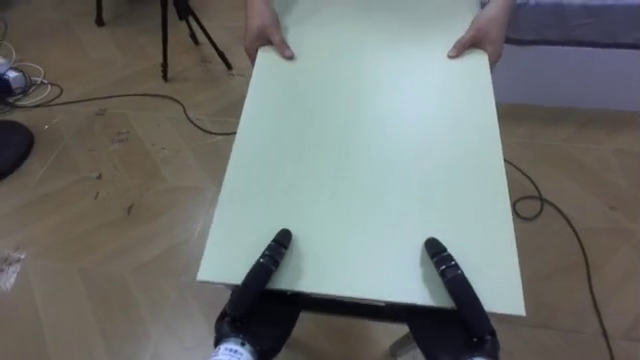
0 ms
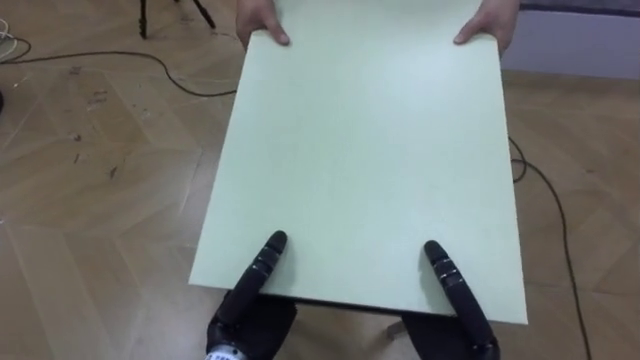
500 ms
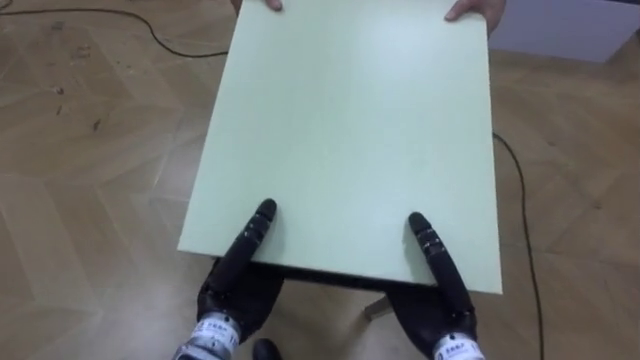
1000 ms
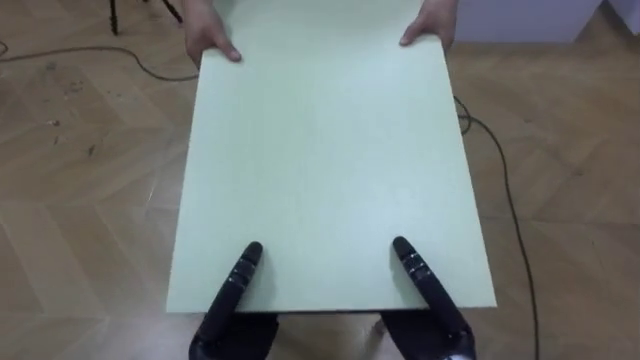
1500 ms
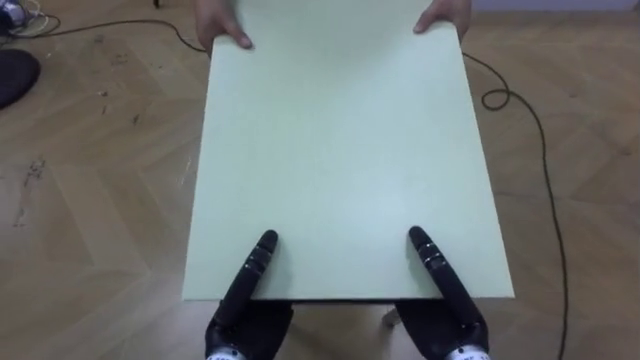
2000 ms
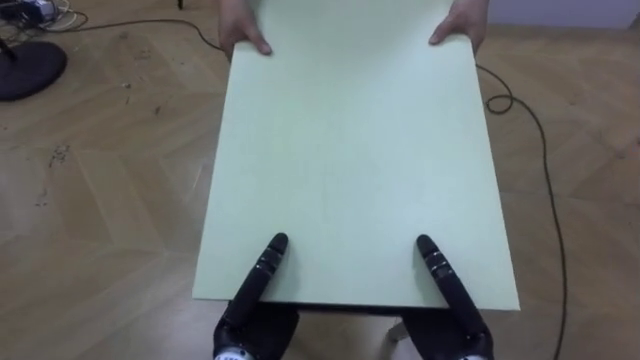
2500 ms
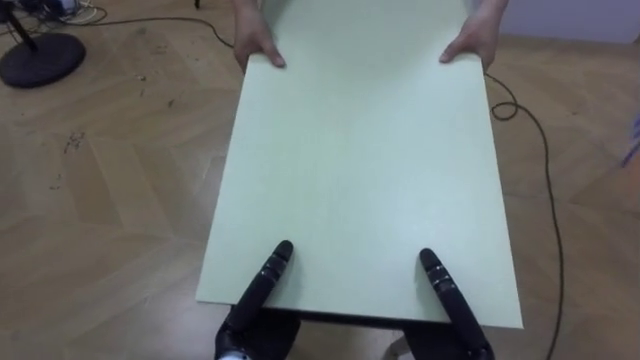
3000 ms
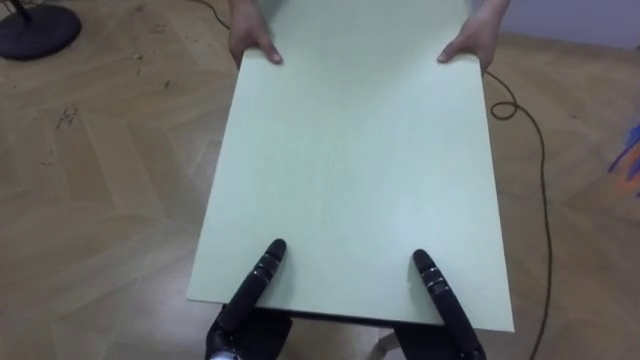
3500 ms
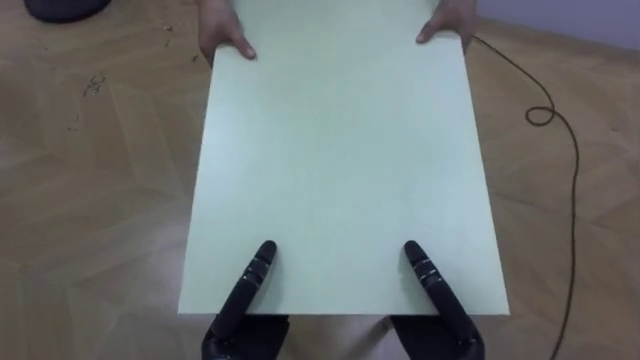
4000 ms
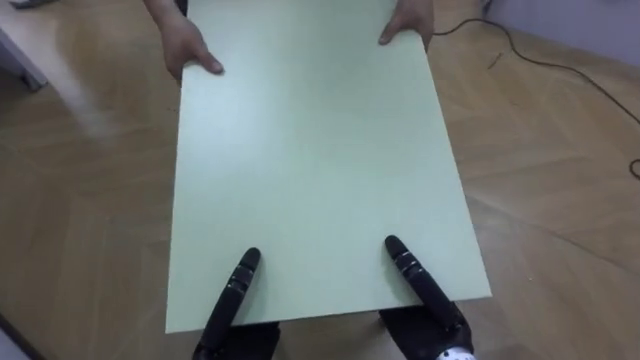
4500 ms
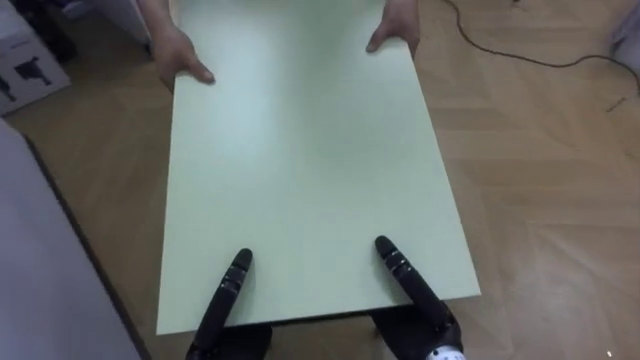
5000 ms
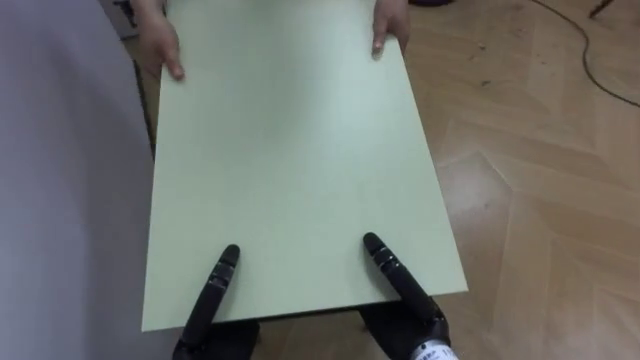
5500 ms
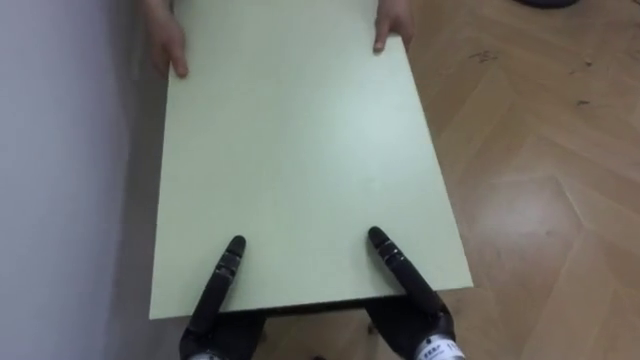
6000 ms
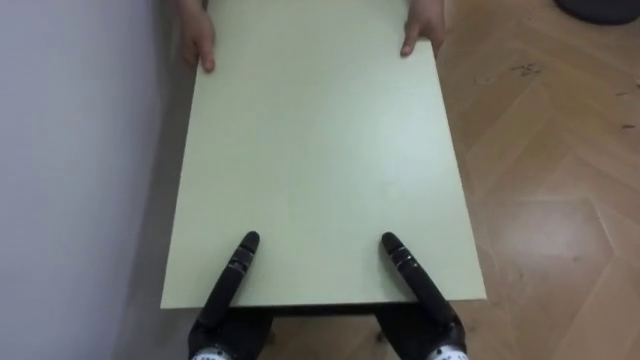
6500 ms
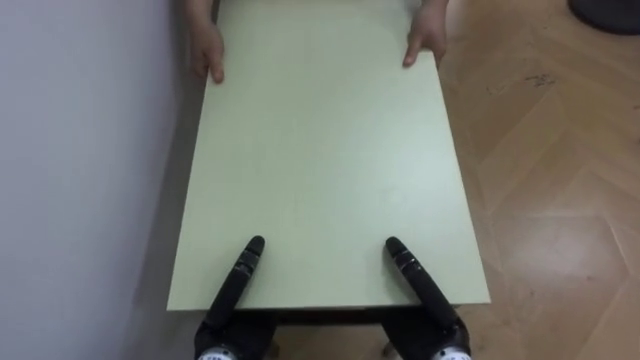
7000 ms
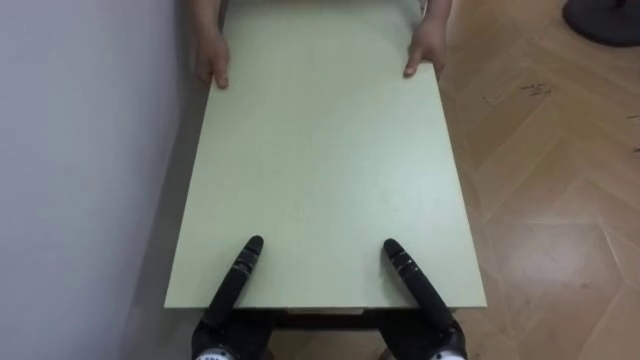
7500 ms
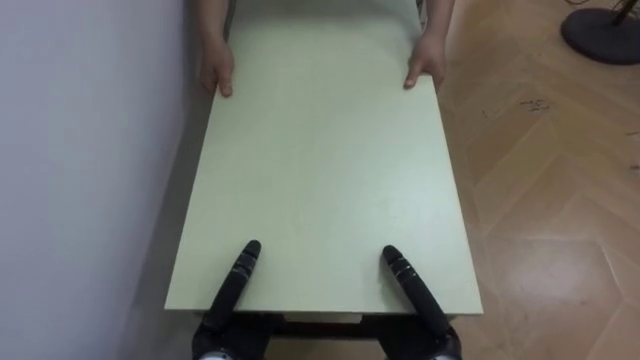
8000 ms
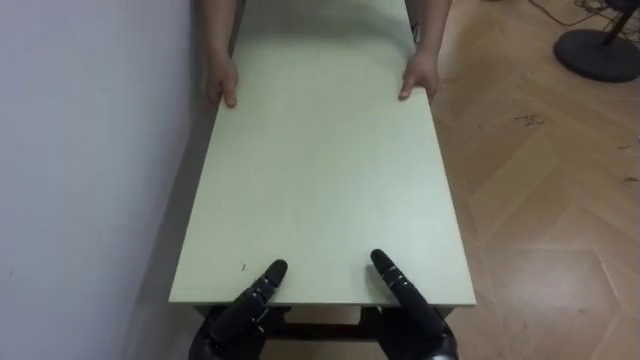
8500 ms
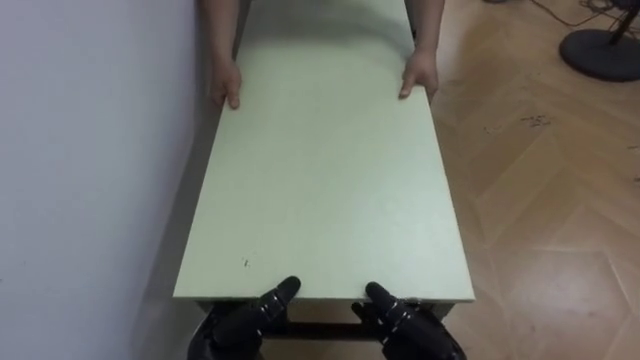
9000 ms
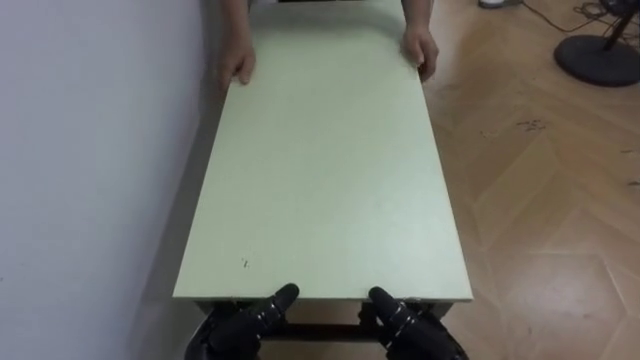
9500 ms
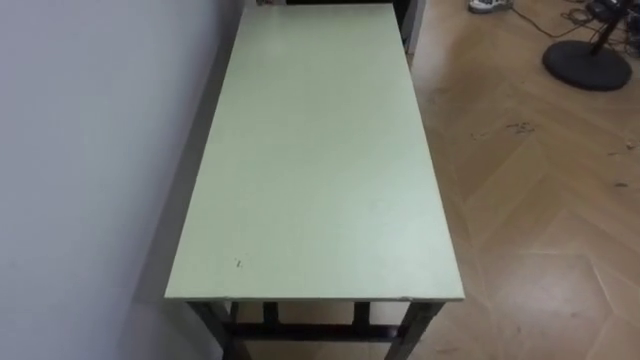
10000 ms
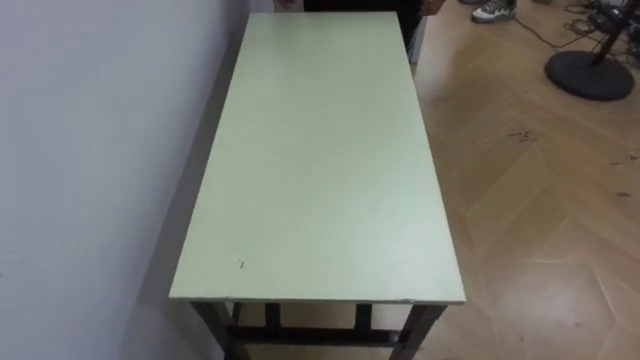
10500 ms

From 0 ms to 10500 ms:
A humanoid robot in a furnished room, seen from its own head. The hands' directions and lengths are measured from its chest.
Task of the whole recording: Move the table to the back left with someone.
From 4000 ms to 6500 ms: The robot's body swings roughly 75 degrees to its left.

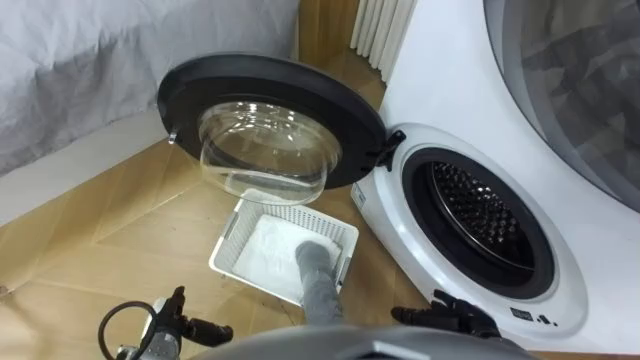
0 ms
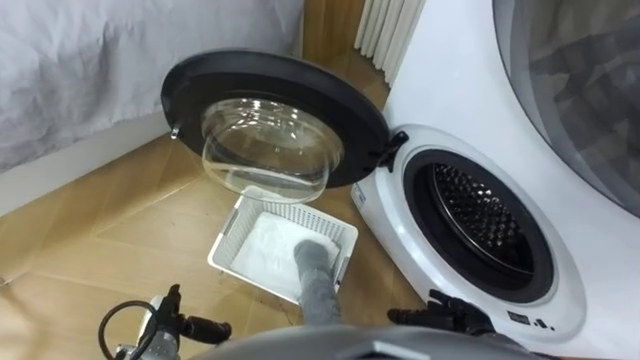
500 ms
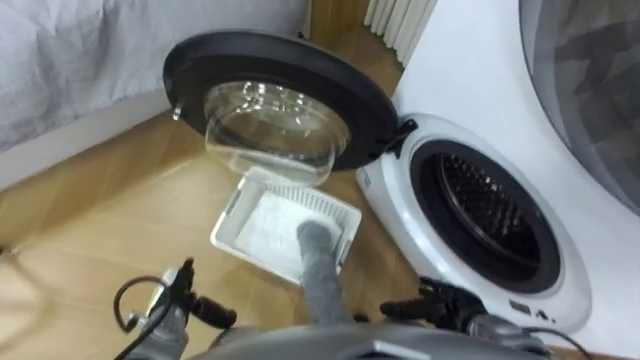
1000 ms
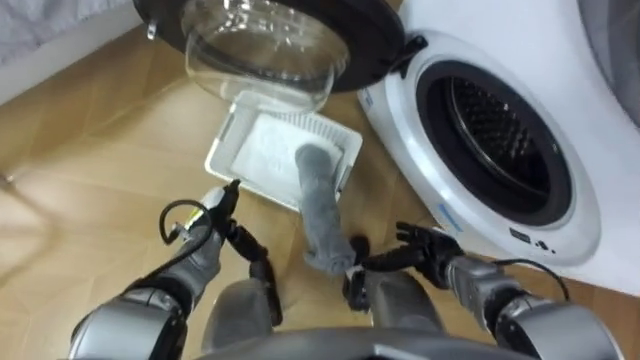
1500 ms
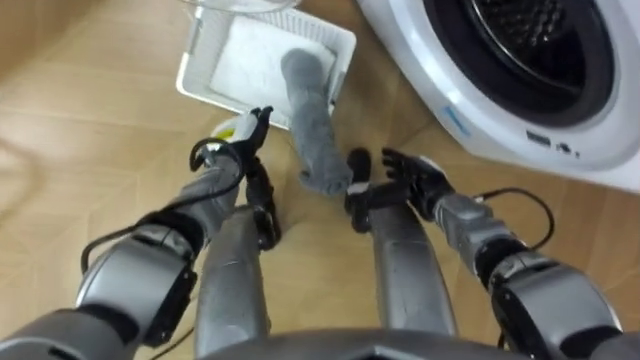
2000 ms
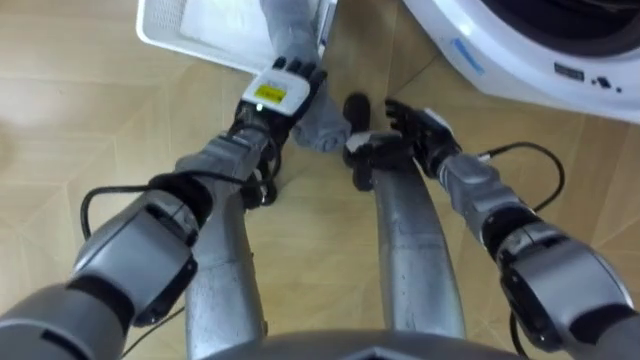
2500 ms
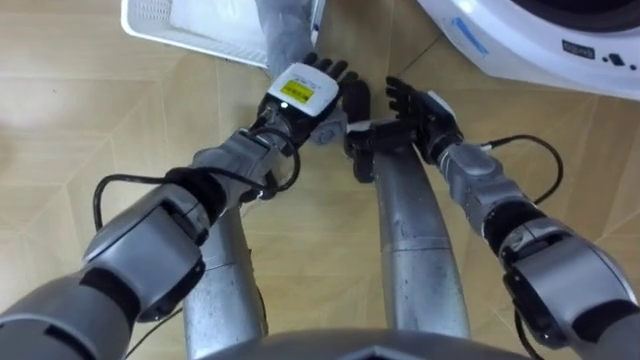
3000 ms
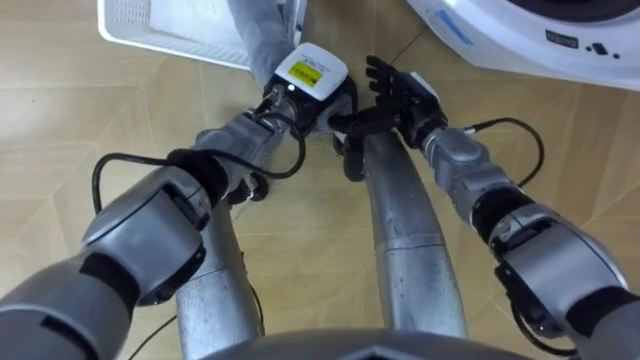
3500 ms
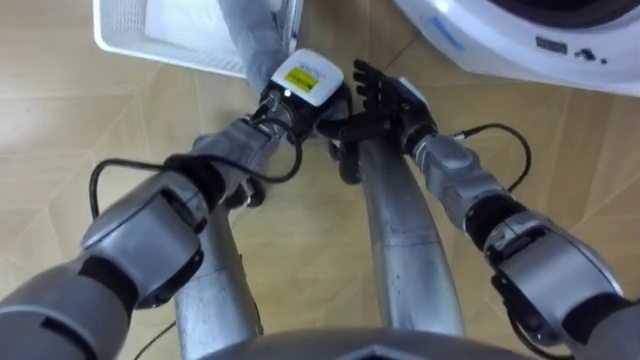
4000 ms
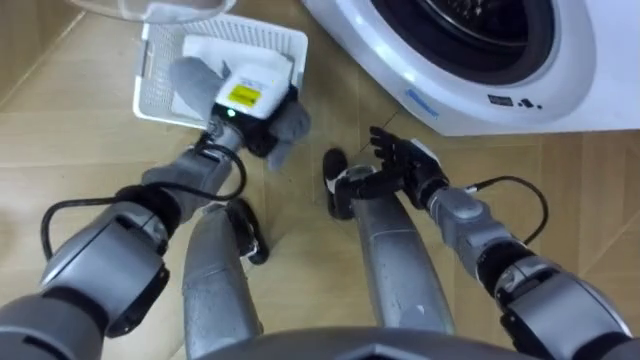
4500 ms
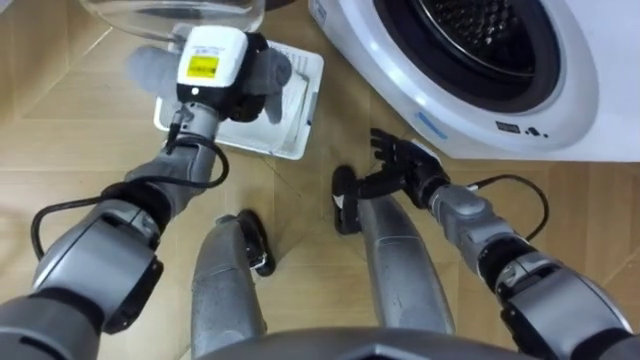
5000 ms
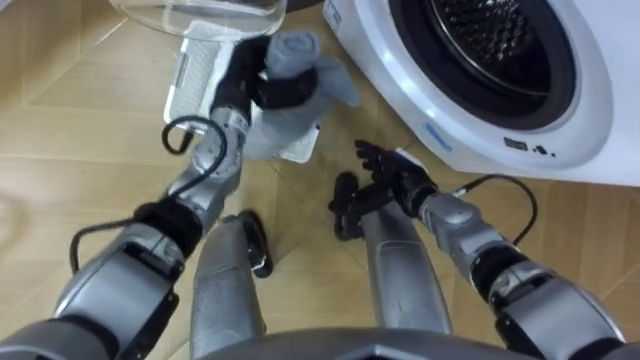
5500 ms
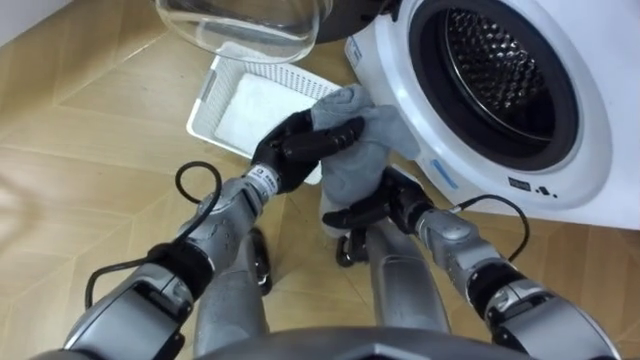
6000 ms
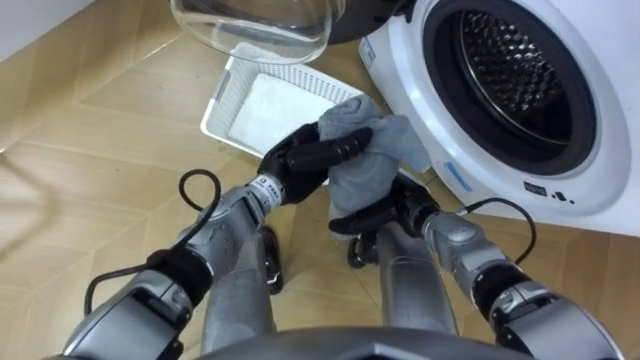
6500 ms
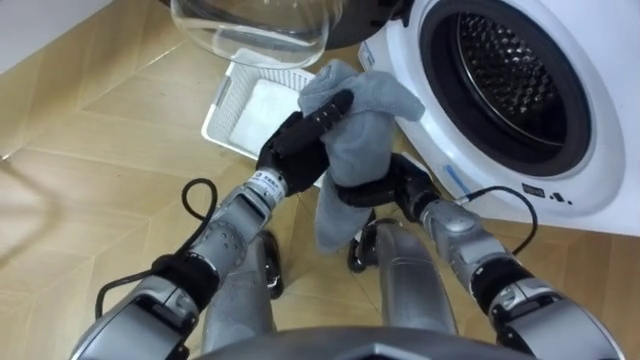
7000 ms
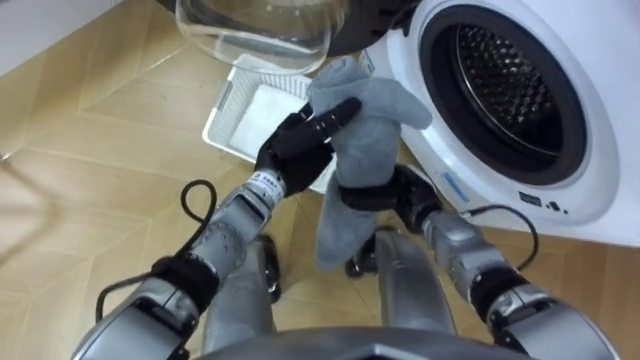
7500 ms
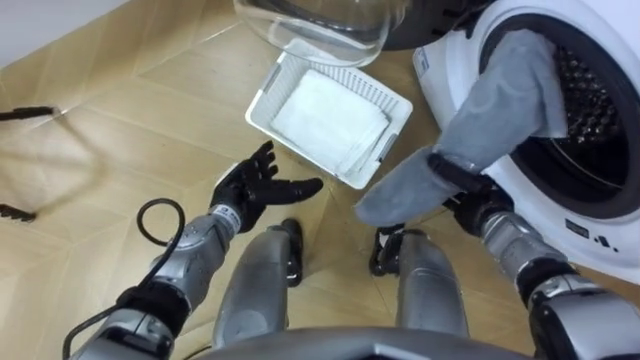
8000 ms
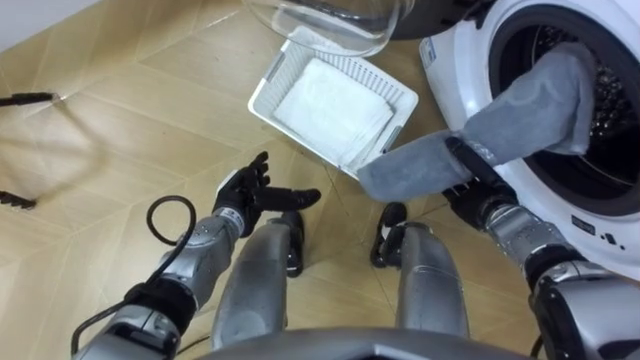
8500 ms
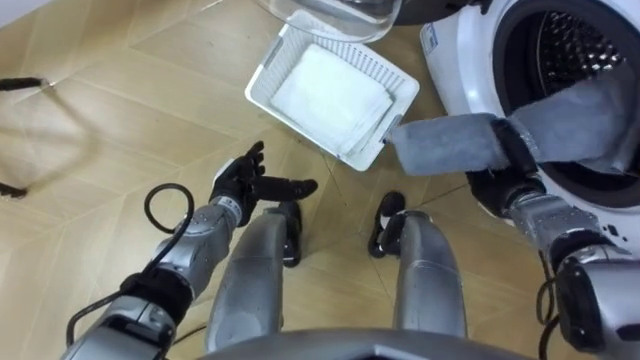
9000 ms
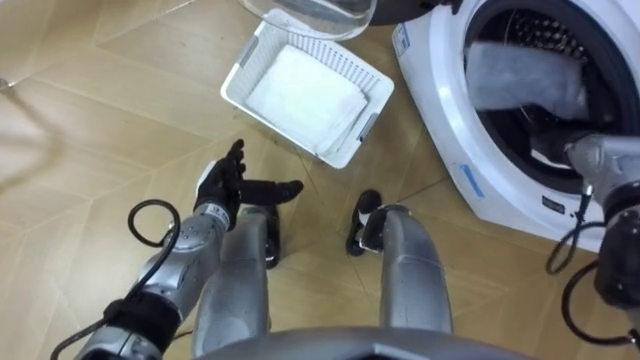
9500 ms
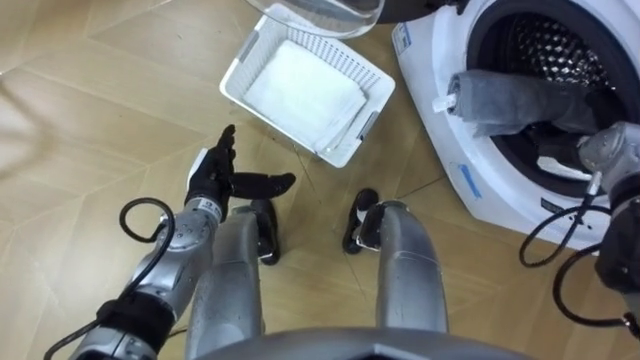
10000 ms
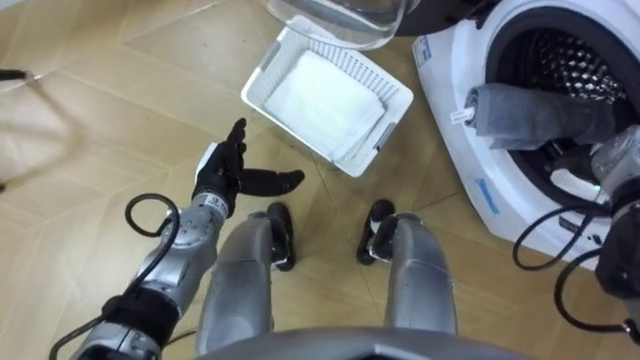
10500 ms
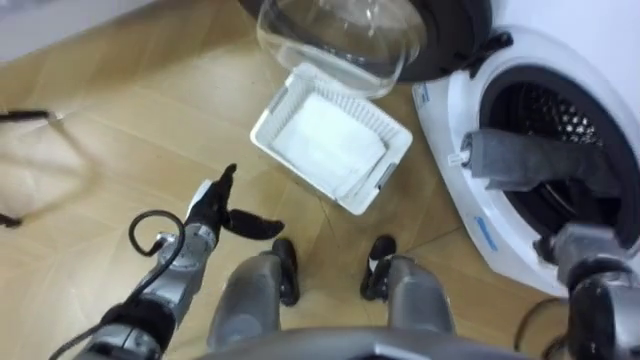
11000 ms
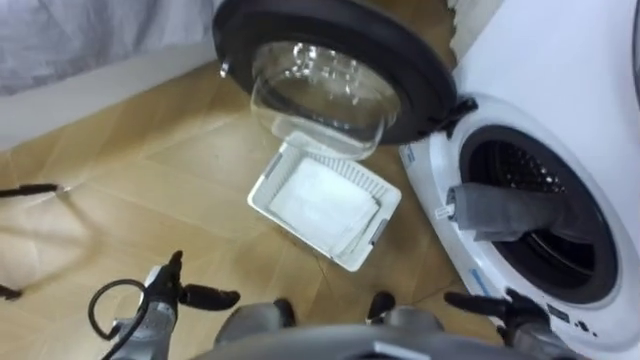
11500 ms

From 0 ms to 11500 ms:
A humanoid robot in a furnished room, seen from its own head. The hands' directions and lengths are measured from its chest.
Task of the whole recording: Take the towel from the basket and put it into the washing machine.
From 2000 ms to 4000 ms: The right hand shifts approximately 10 cm upward and forward. The left hand travels to the right and upward by roughly 15 cm, and closes its fingers.
From 4000 ms to 6000 ms: The right hand goes approximately 10 cm backward and downward. The left hand goes about 5 cm backward, and travels to the left and back again, some 10 cm each way.
From 6000 ms to 7500 ms: The right hand closes.
From 7500 ms to 9500 ms: The right hand is displaced to the right by roughly 20 cm. Meanwhile the left hand heads to the left and downward, covering approximately 10 cm, and opens its fingers.
From 9500 ms to 11500 ms: The right hand is displaced backward and downward by roughly 30 cm, and opens up. Meanwhile the left hand goes roughly 20 cm backward, downward and to the left.
